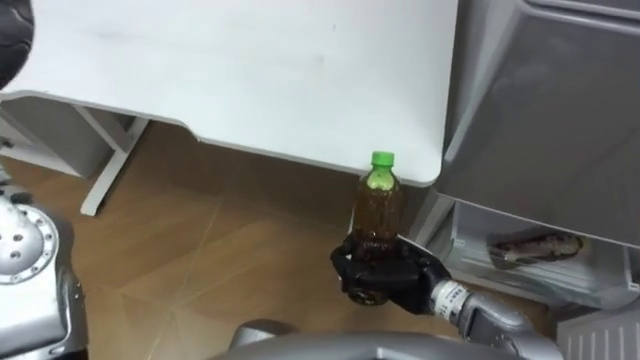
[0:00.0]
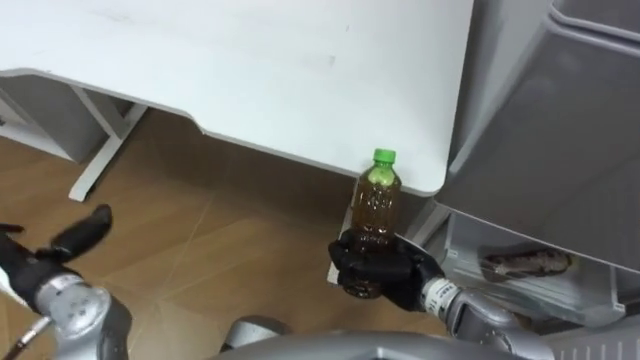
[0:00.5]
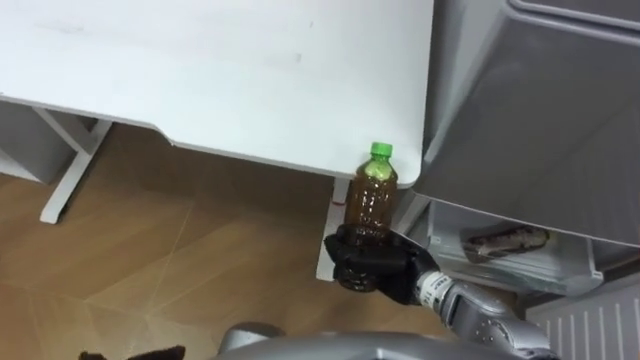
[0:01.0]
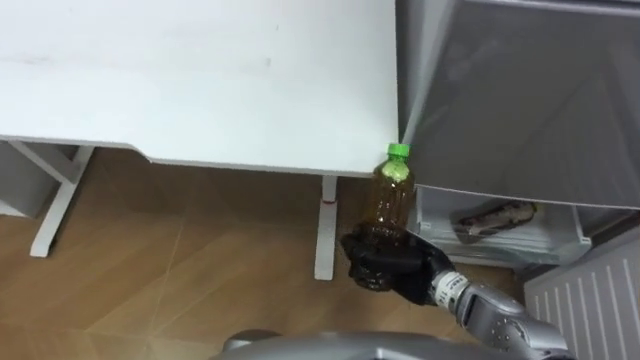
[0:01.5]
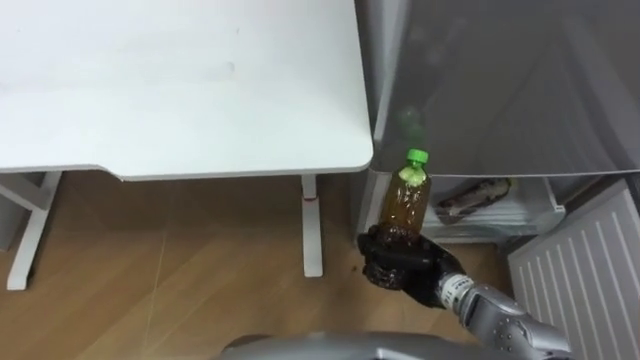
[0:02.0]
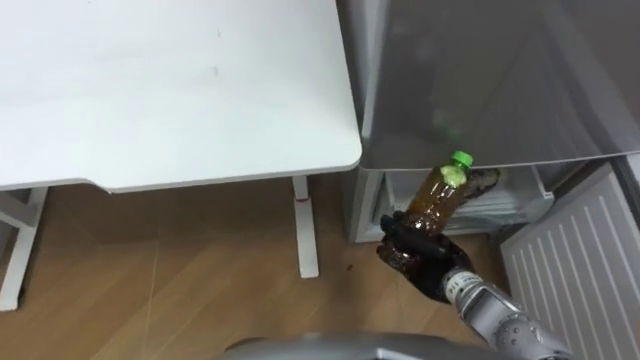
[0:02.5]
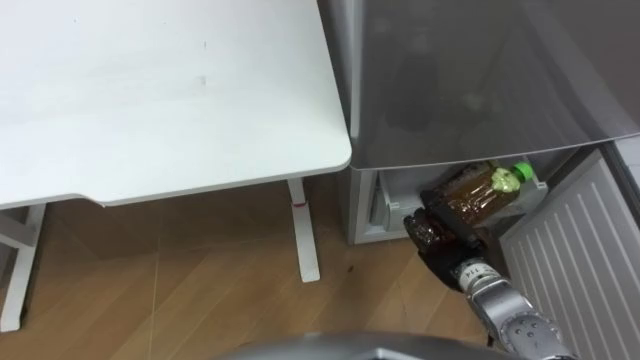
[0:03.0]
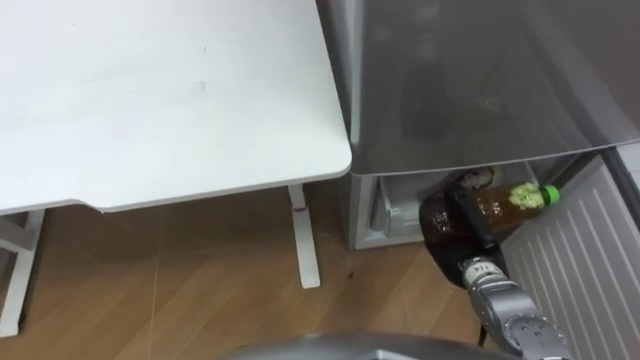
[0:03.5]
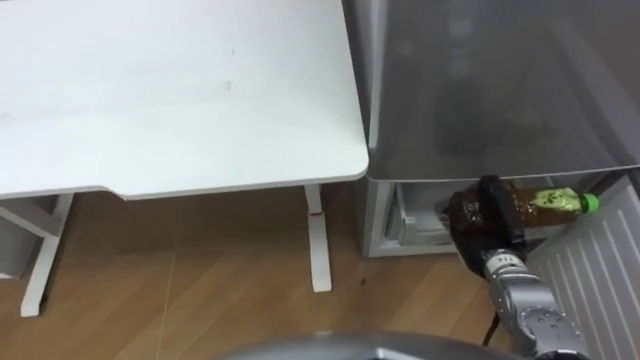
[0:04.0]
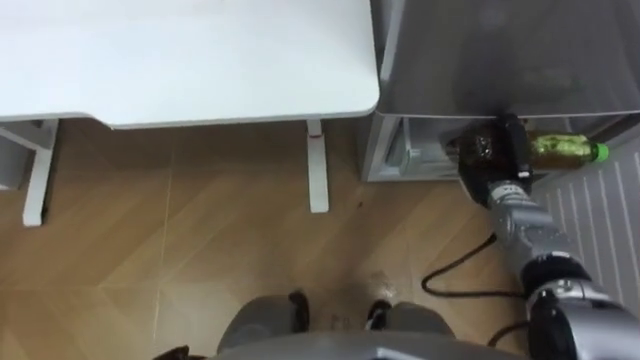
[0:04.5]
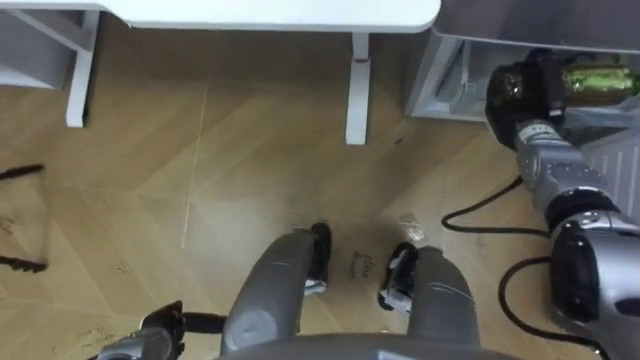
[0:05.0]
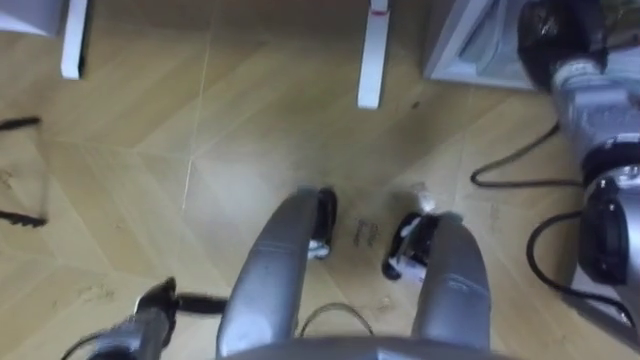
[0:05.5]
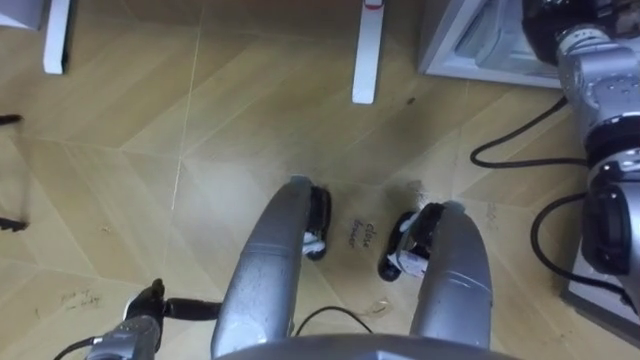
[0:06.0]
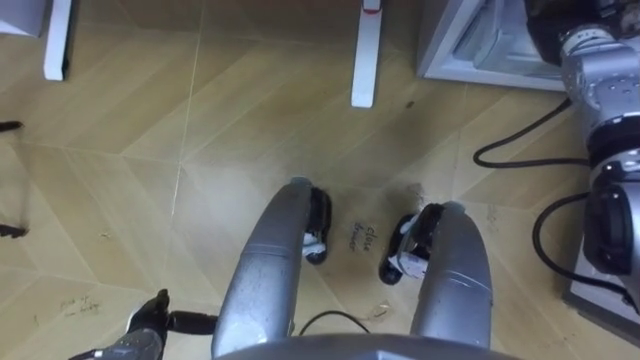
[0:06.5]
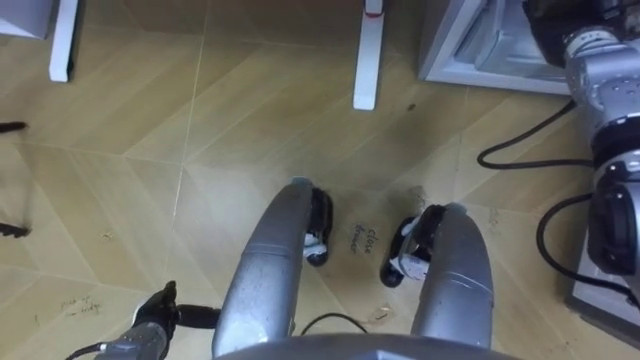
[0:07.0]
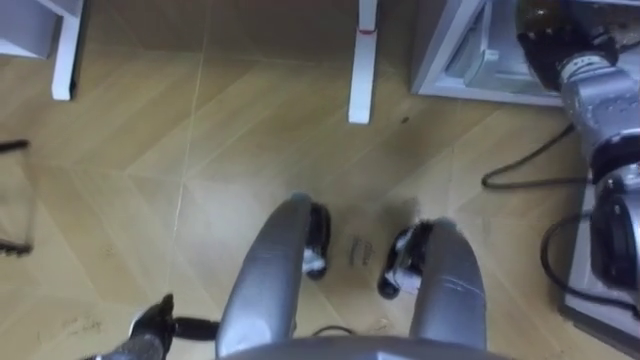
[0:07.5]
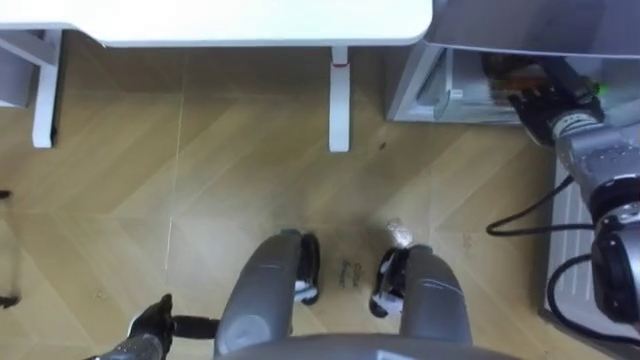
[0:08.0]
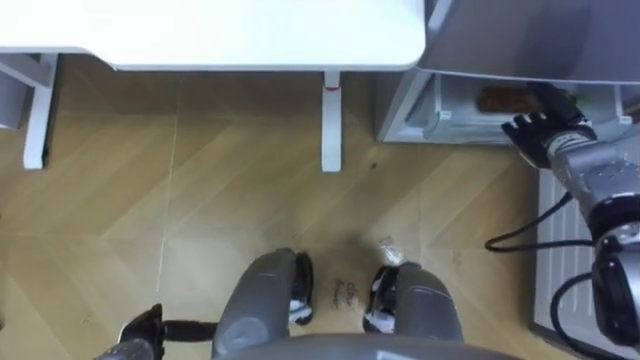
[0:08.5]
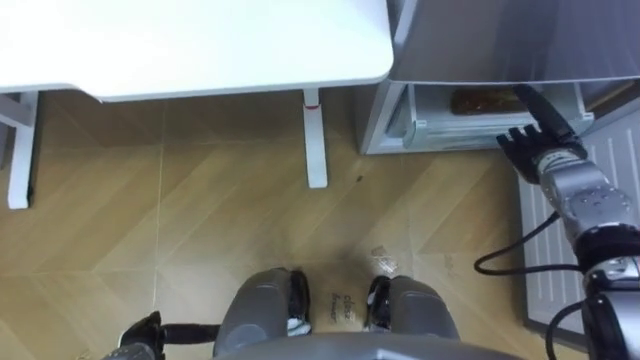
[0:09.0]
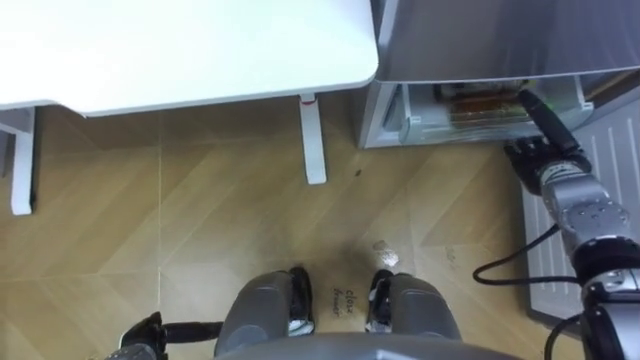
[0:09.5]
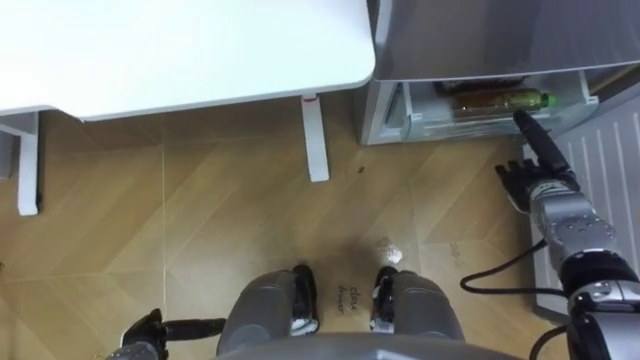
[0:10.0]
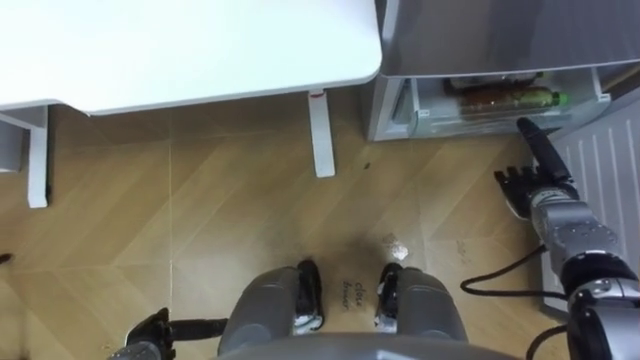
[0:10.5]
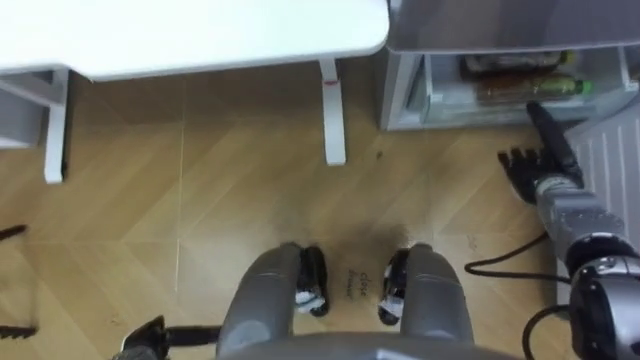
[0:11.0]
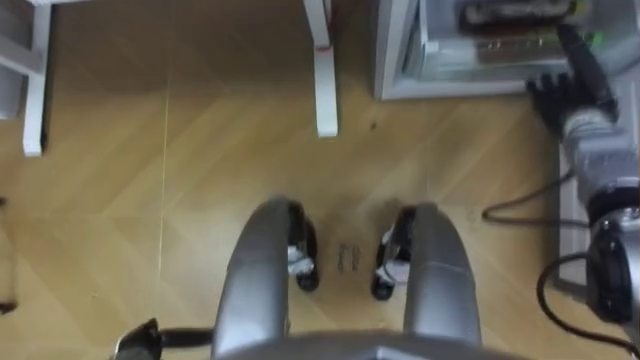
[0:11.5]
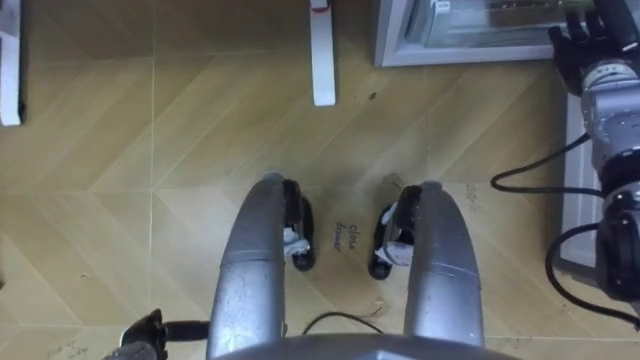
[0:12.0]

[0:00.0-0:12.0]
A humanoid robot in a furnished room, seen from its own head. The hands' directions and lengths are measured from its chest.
Task of the whole recording: Place the drink on the table on the bottom shelf of the refrigerator, then close the drawer and the refrigerator door.
0:02.0 to 0:04.0: The right hand goes approximately 10 cm to the right.
0:04.0 to 0:06.0: The right hand shifts some 30 cm forward and upward.
0:06.0 to 0:08.0: The right hand moves downward and backward, approximately 10 cm, and opens.
0:08.0 to 0:10.0: The right hand heads backward and downward, covering roughly 10 cm.
0:10.0 to 0:12.0: The right hand moves upward and forward, roughly 20 cm.

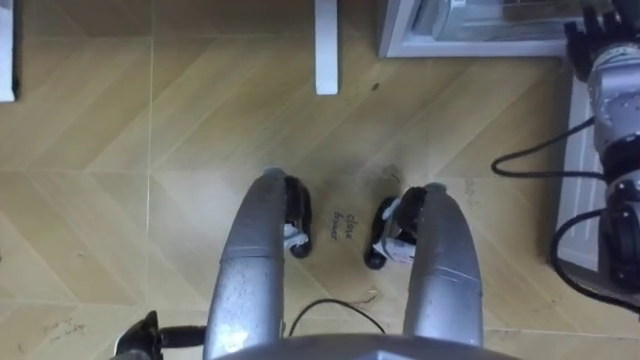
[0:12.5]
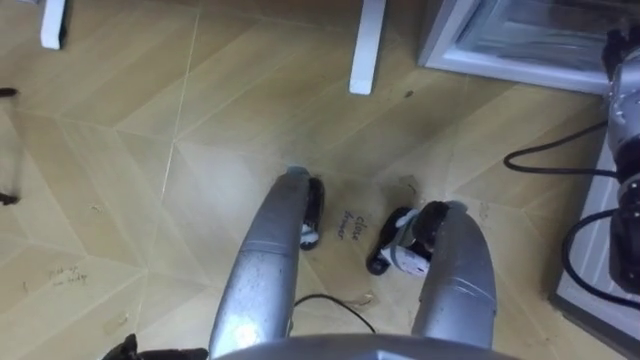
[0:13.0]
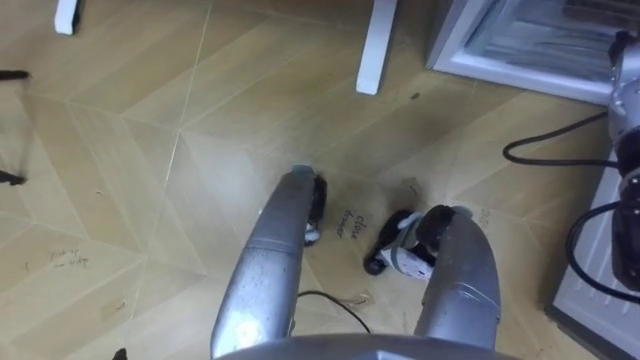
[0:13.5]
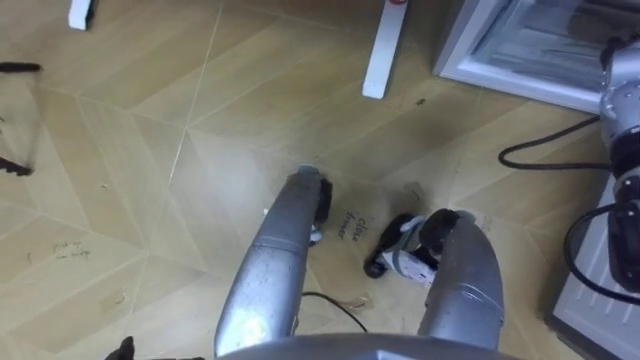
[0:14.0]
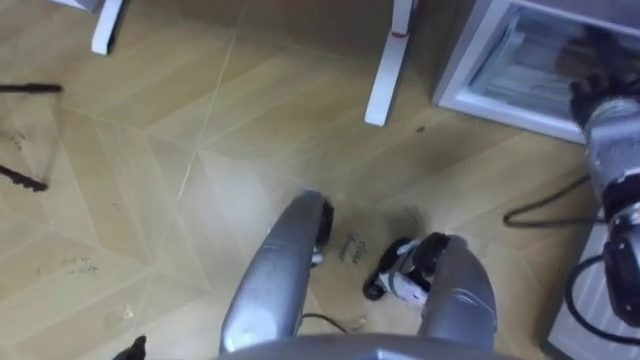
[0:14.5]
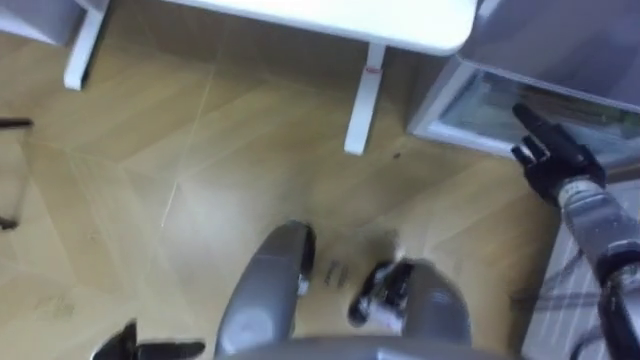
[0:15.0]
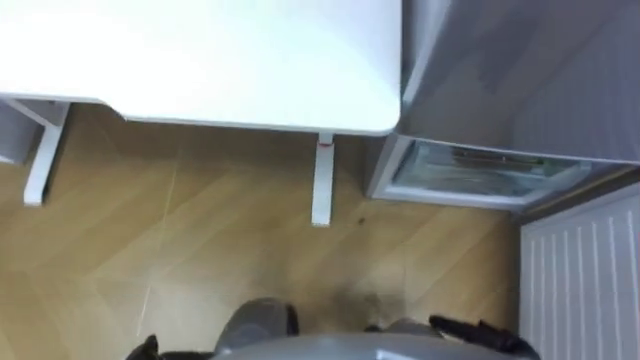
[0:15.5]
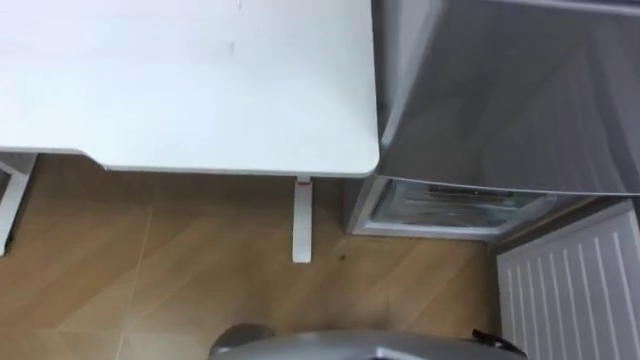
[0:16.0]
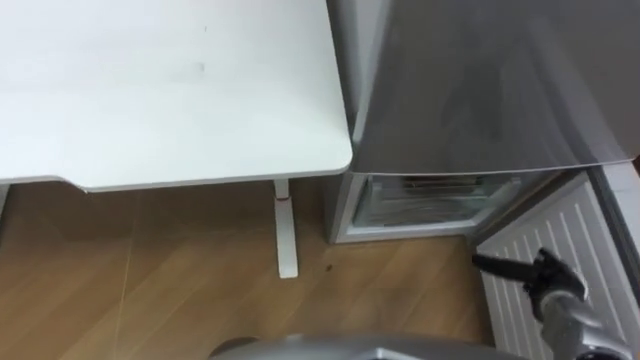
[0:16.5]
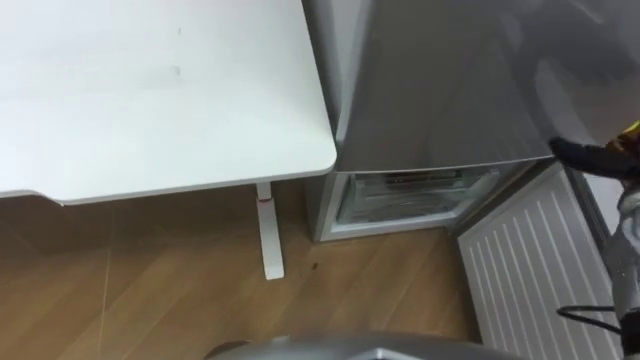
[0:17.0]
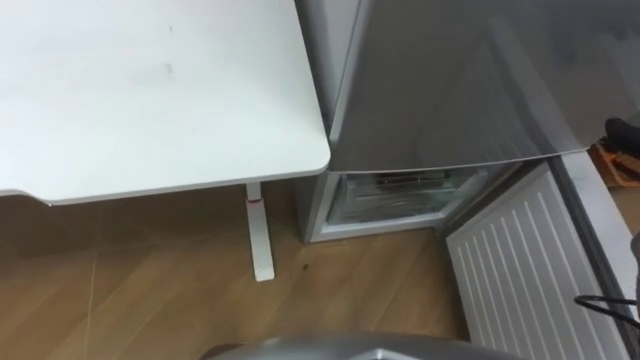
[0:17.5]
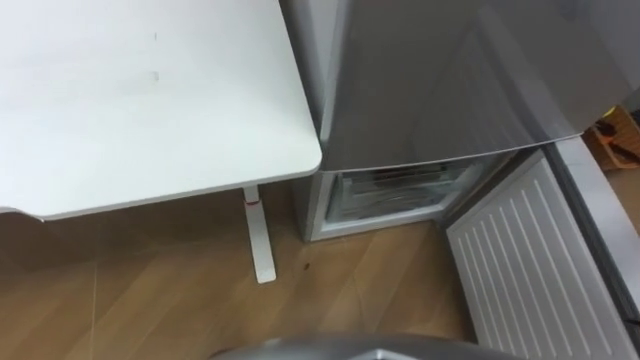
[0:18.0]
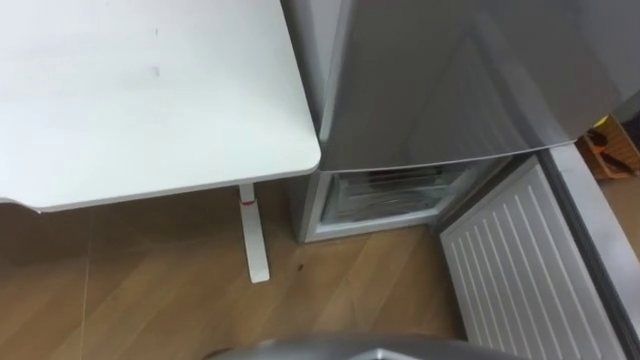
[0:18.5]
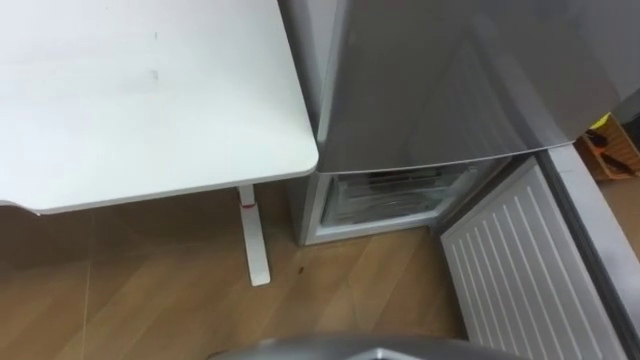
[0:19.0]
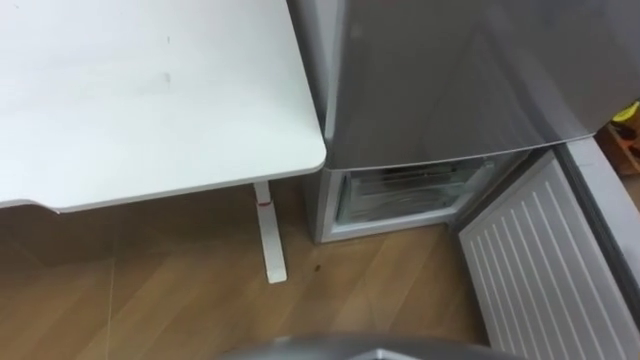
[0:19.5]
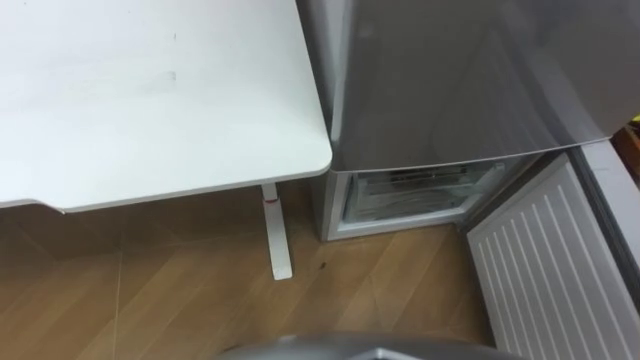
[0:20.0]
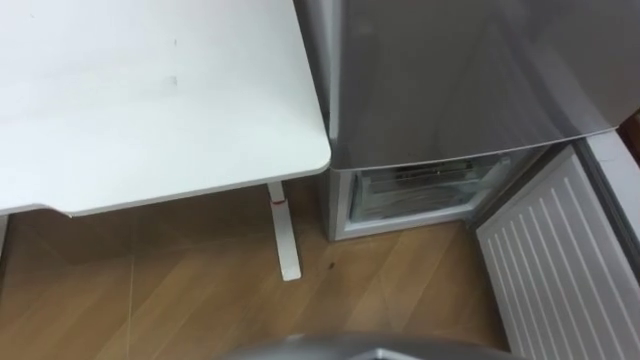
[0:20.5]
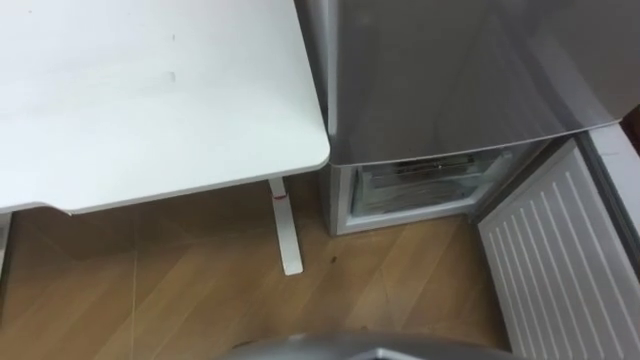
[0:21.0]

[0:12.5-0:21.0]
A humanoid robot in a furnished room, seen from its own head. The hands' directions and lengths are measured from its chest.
Task of the whole recording: Place the drink on the table on the bottom shelf of the refrigerator, then close the drawer and the refrigerator door.
0:12.5 to 0:14.5: The right hand ends up about 5 cm from where it was.
